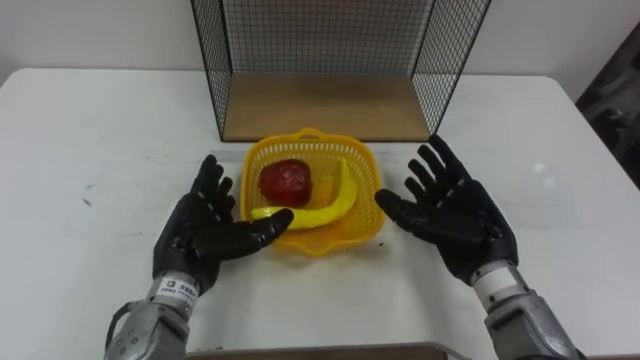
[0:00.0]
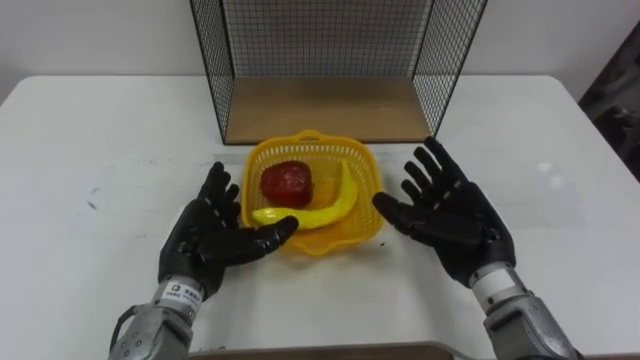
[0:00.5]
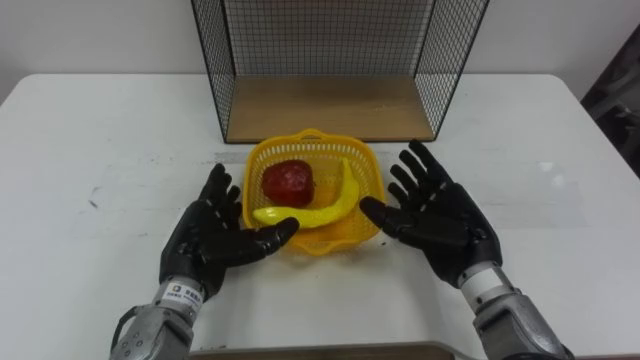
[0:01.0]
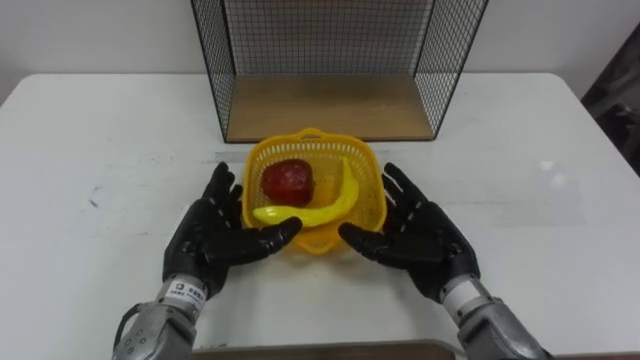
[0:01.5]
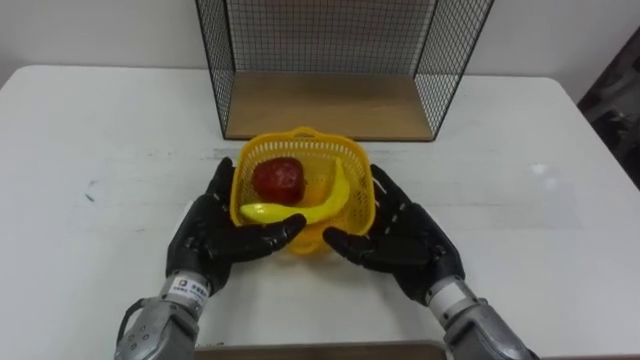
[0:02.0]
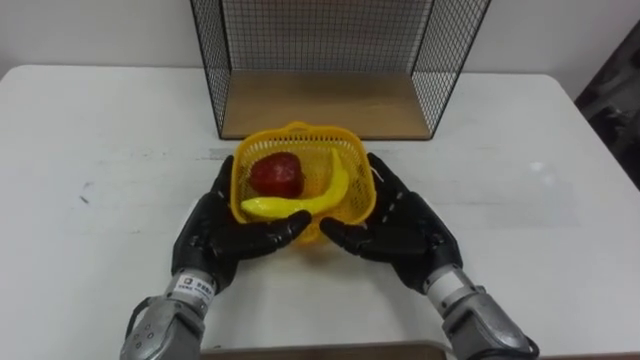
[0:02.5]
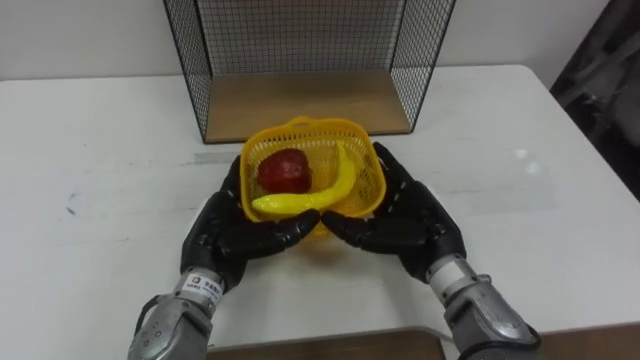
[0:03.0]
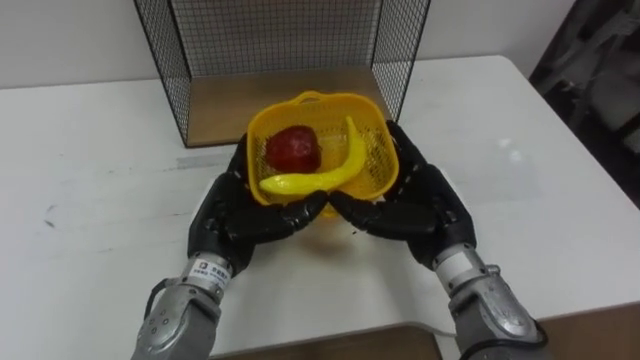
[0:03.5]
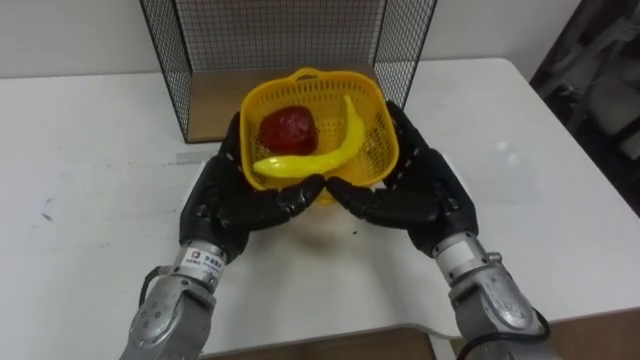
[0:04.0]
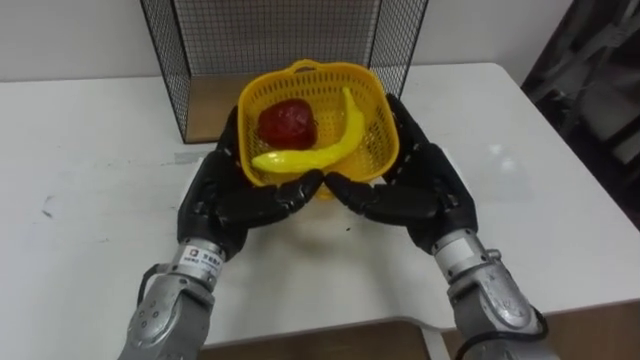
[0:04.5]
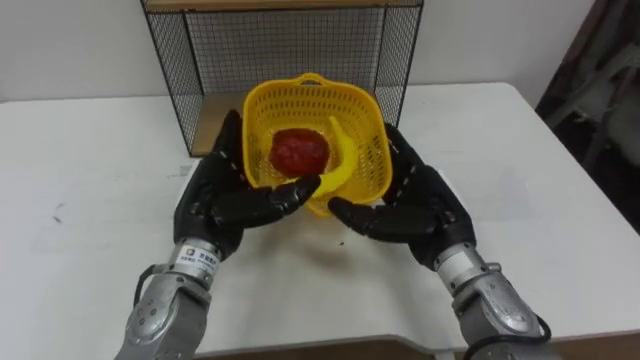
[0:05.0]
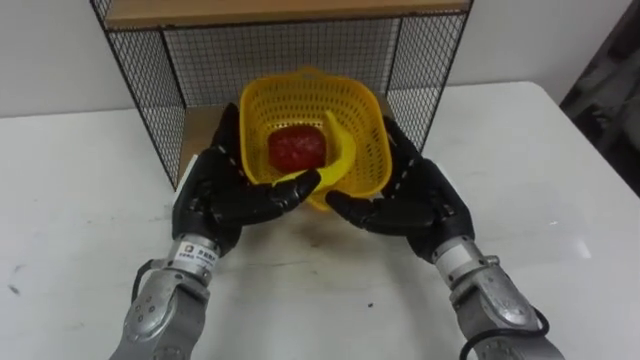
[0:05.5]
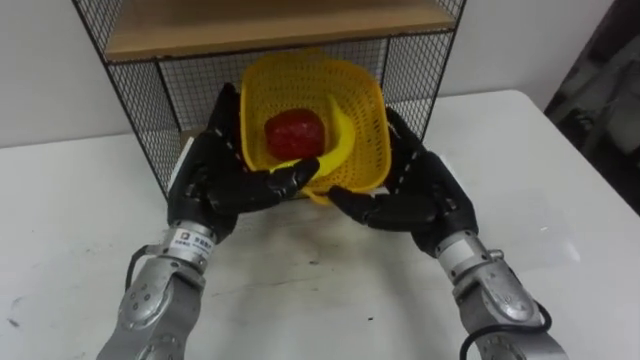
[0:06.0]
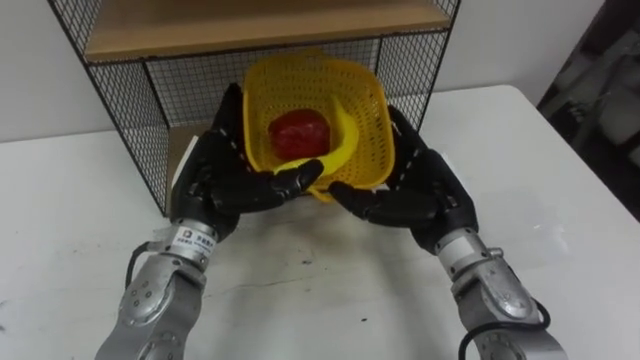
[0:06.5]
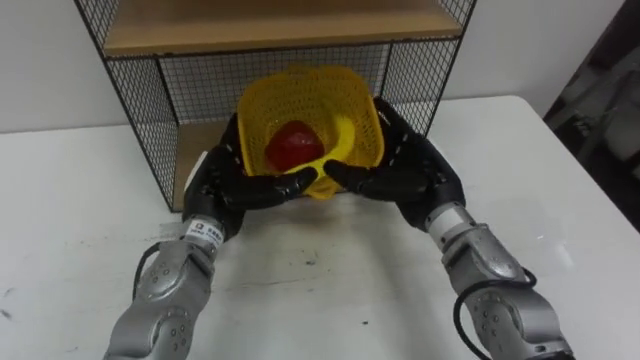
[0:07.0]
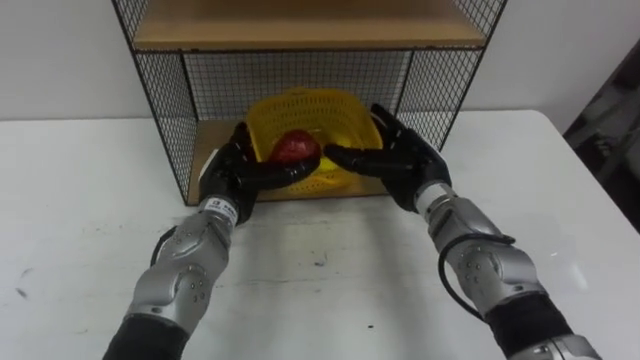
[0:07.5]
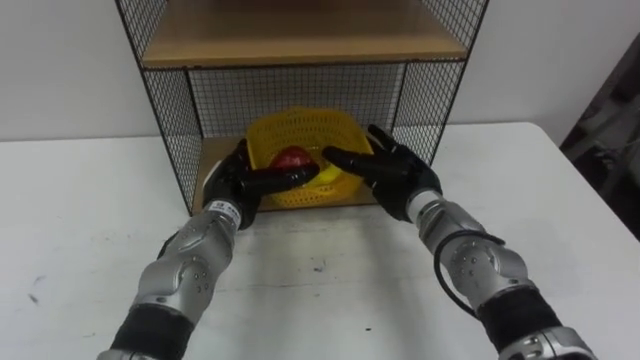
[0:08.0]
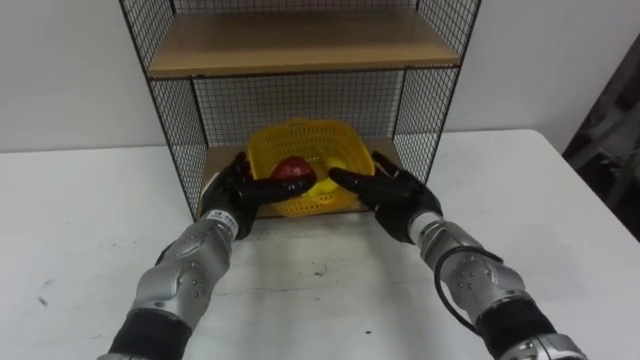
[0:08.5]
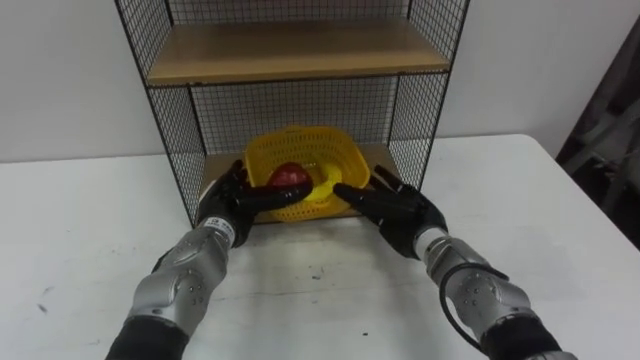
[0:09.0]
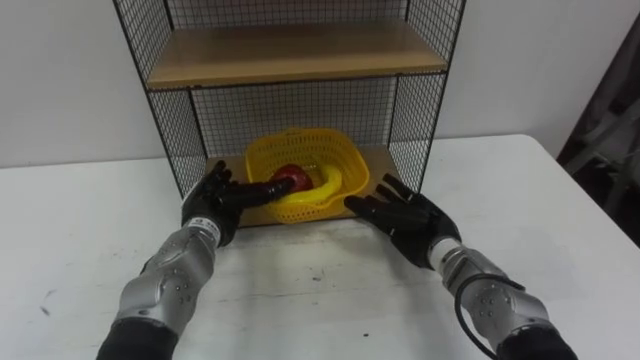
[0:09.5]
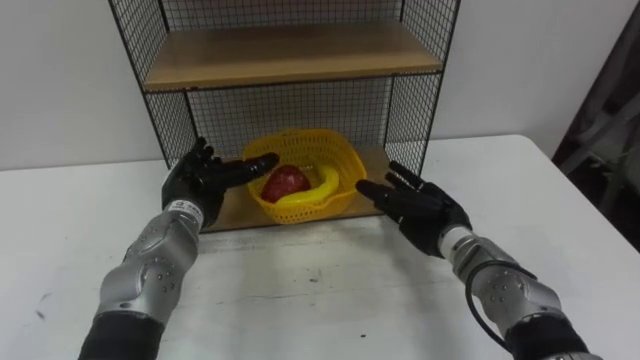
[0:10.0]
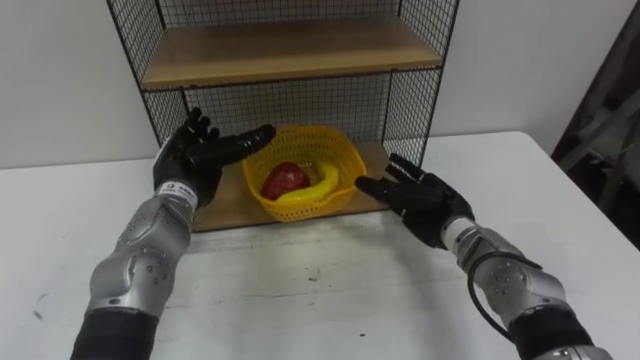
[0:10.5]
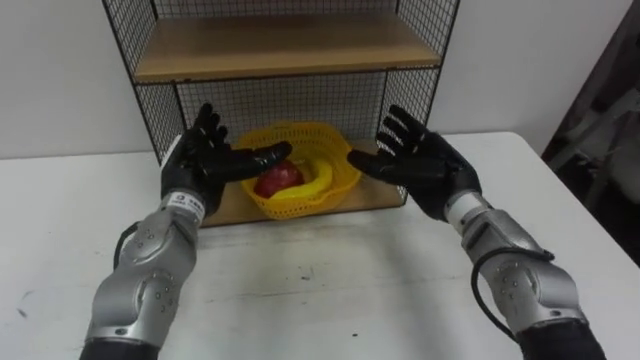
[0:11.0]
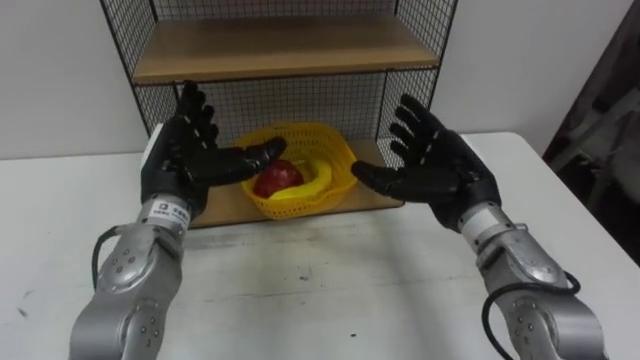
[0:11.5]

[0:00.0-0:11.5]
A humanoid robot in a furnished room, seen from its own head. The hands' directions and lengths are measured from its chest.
Task of the whole recording: Put the fruit on the table into the basket, then place the basket on the shelf.
0:00.0 to 0:02.0: The right hand heads to the left, covering approximately 5 cm.
0:02.0 to 0:04.0: Both hands travel together upward, some 5 cm.
0:06.0 to 0:07.5: The left hand moves downward and forward, some 10 cm. Meanwhile the right hand shifts approximately 5 cm forward.
0:07.5 to 0:09.5: The right hand moves downward, about 10 cm. Meanwhile the left hand ends up about 5 cm from where it was.
0:09.5 to 0:11.5: The hands both shift upward by roughly 10 cm.

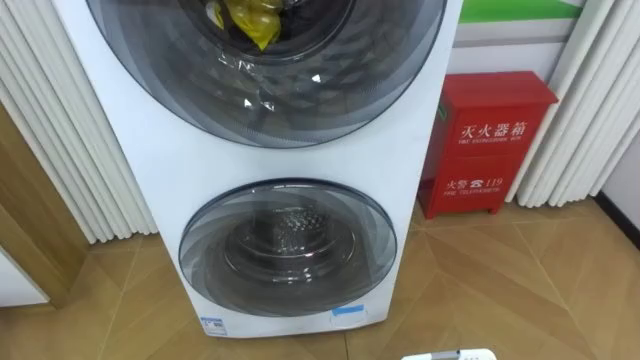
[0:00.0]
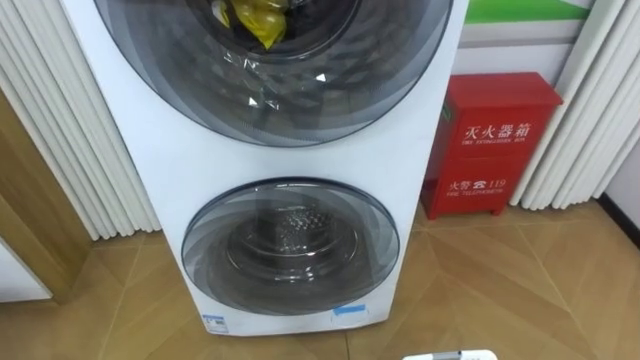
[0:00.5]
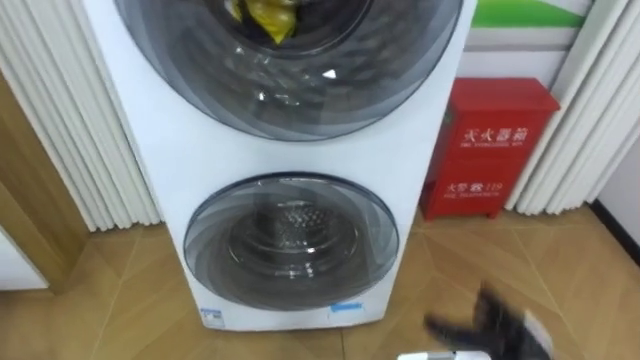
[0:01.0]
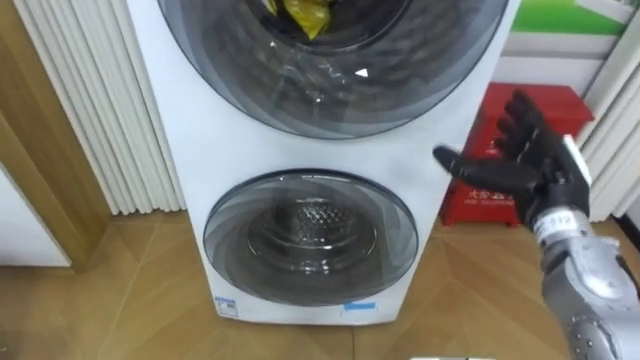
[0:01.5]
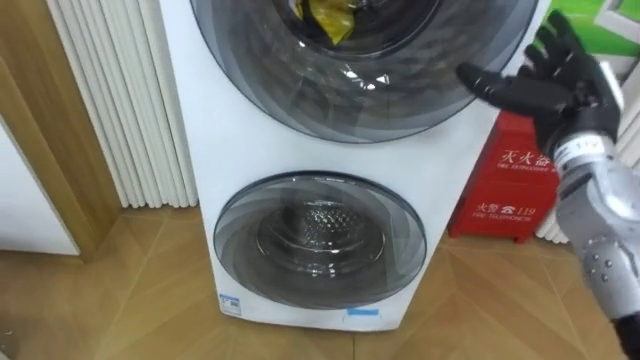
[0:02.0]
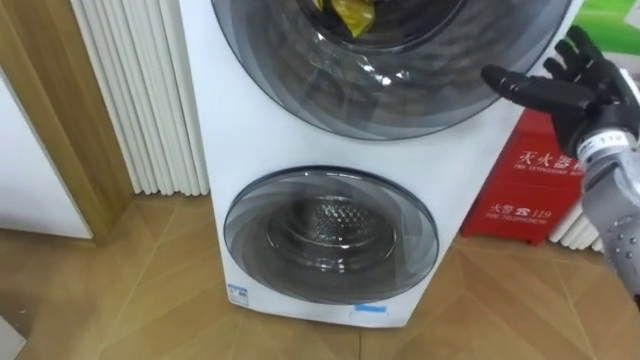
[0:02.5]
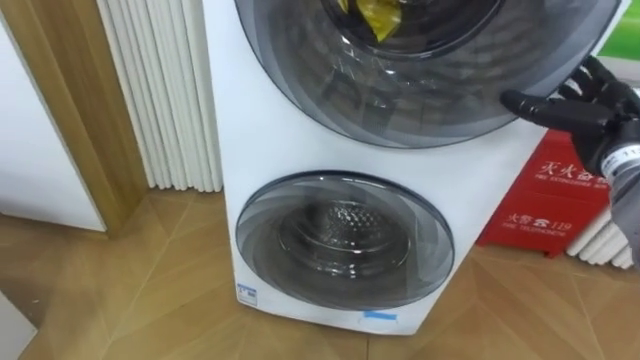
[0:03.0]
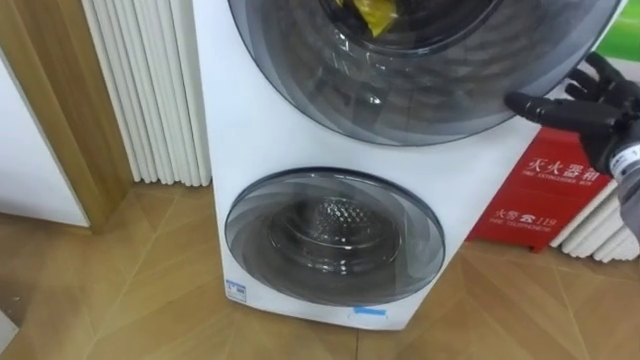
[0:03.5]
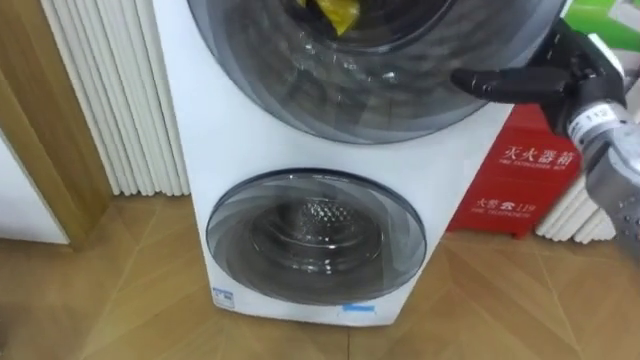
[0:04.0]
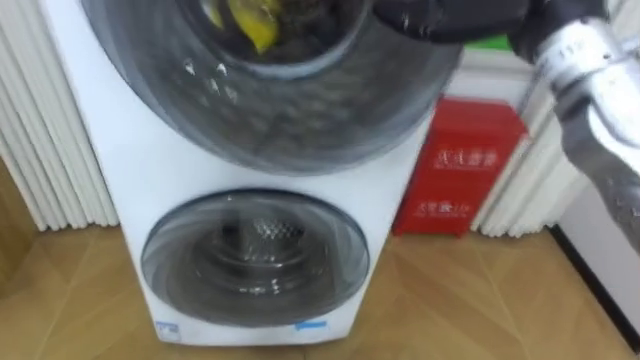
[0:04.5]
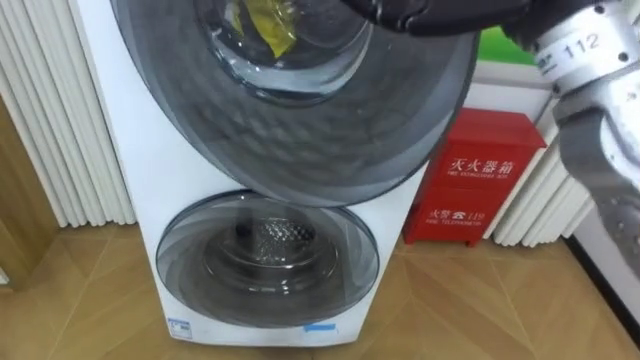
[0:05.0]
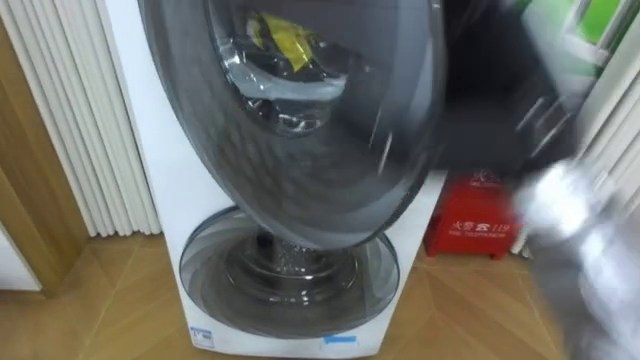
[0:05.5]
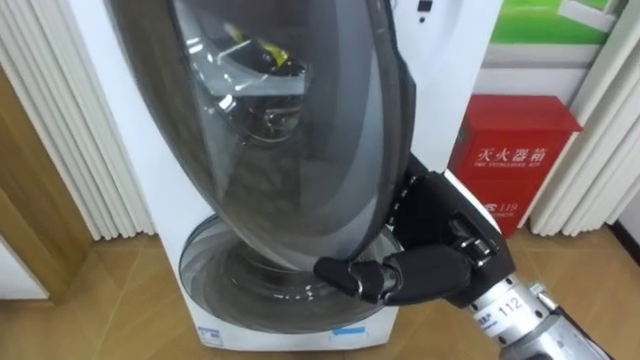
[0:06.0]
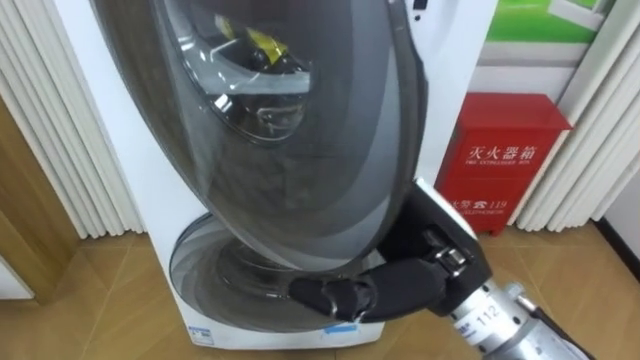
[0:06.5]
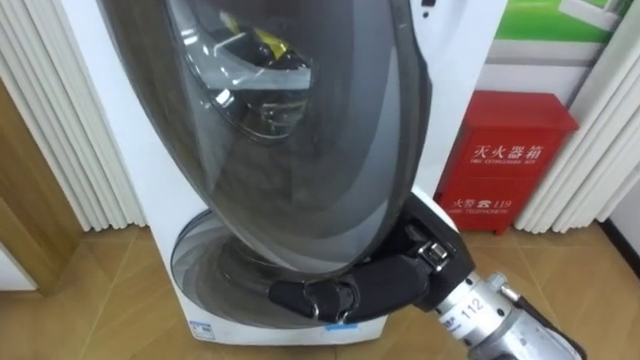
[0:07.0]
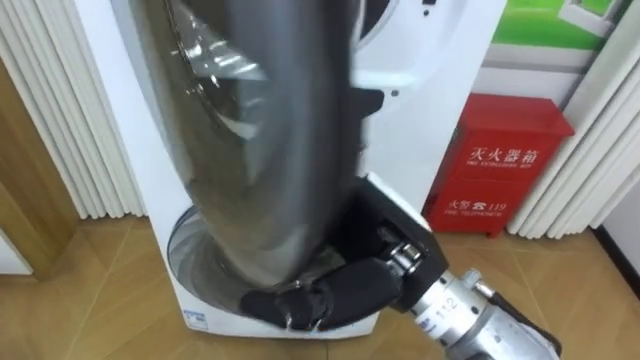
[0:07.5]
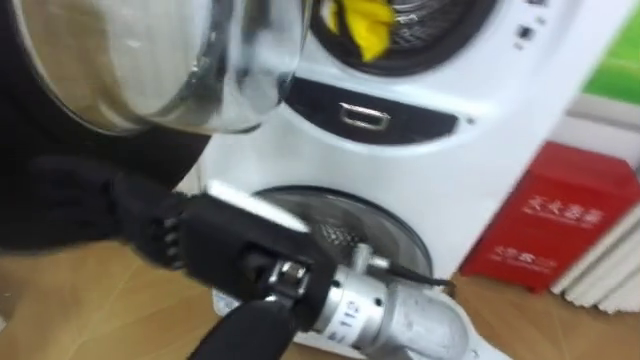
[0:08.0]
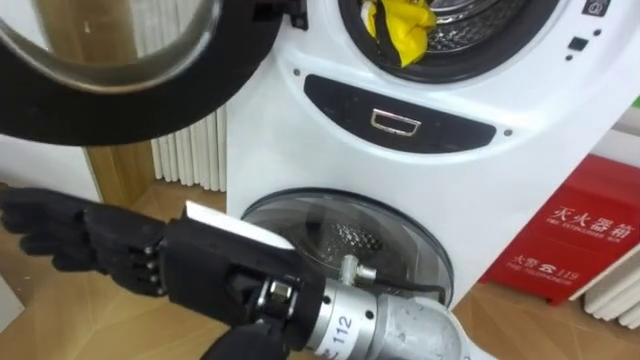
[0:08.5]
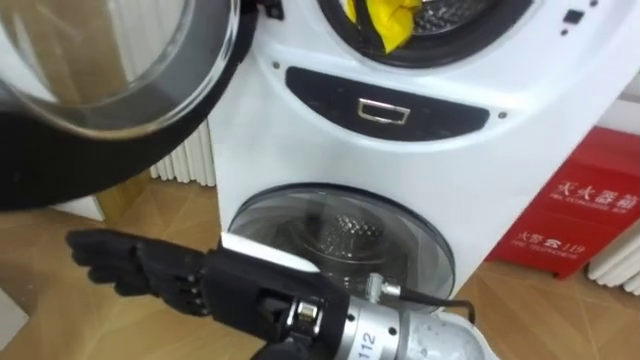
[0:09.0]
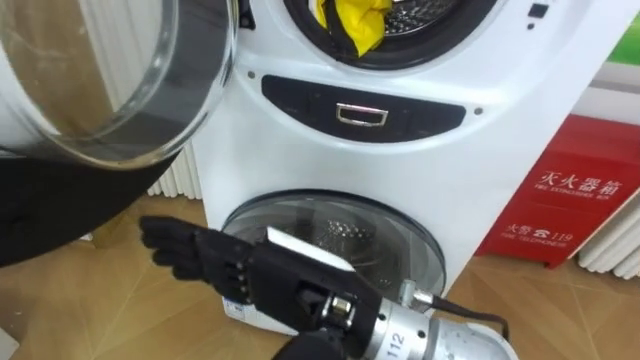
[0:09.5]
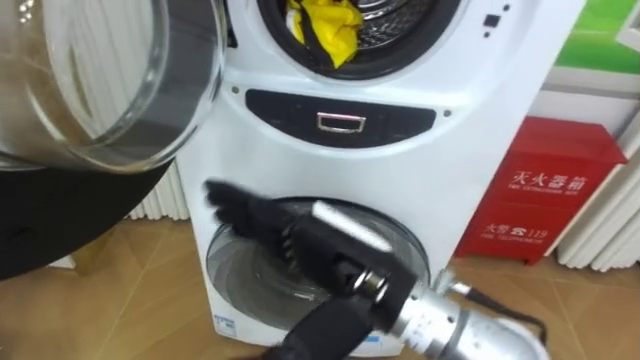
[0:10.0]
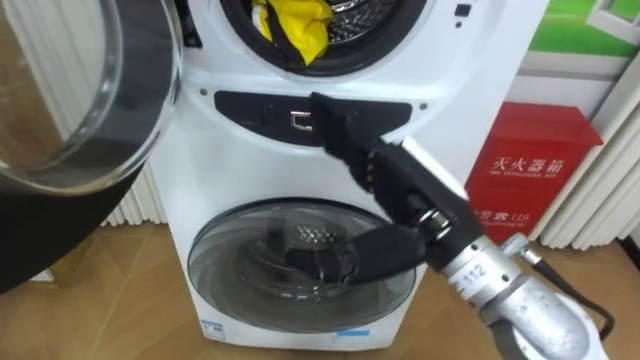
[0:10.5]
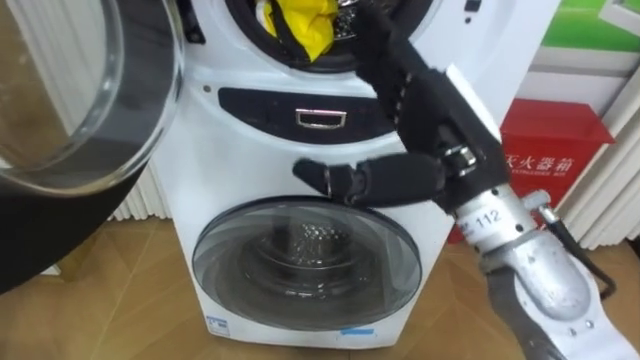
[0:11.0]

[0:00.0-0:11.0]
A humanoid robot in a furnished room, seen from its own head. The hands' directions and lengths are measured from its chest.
Task of the whole recording: Open the washing machine door, take out the yellow clothes, place them in the box on the right, and close the washing machine door.
0:02.0 to 0:03.5: The right hand goes approximately 5 cm to the right.
0:05.5 to 0:07.5: The right hand is displaced downward and to the left by approximately 15 cm.
0:07.5 to 0:09.0: The right hand shifts roughly 10 cm to the left and backward.
0:09.0 to 0:11.0: The right hand goes about 20 cm to the right and forward.
